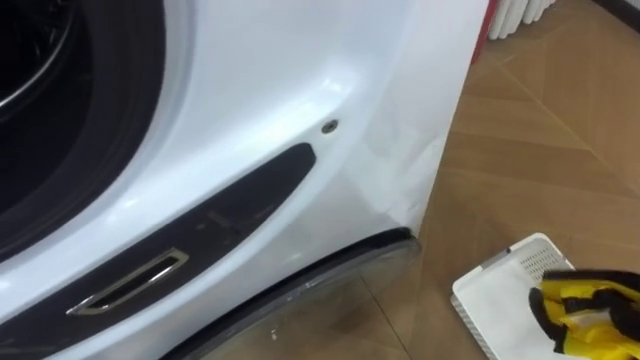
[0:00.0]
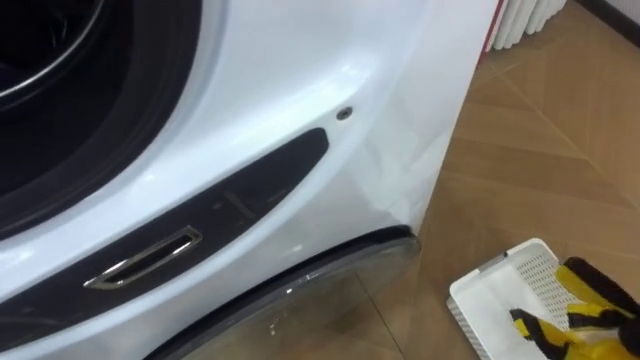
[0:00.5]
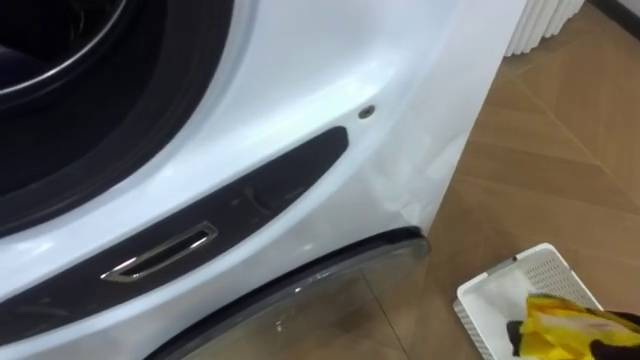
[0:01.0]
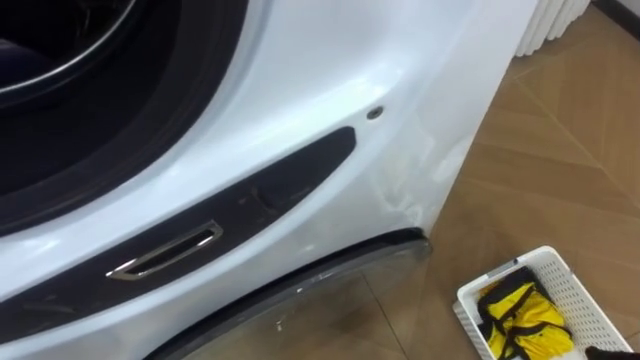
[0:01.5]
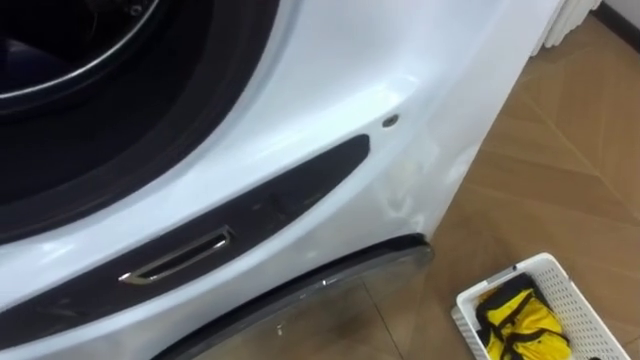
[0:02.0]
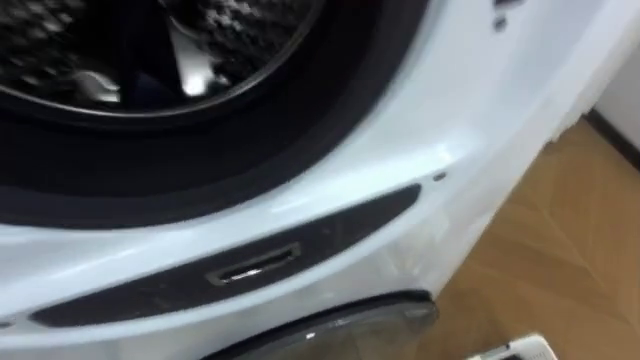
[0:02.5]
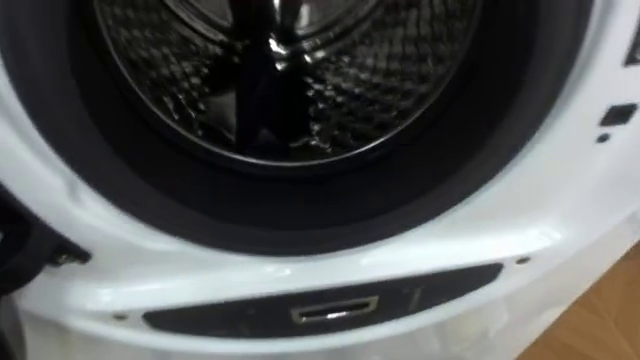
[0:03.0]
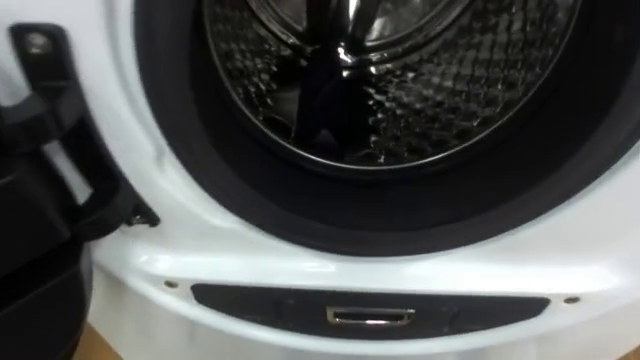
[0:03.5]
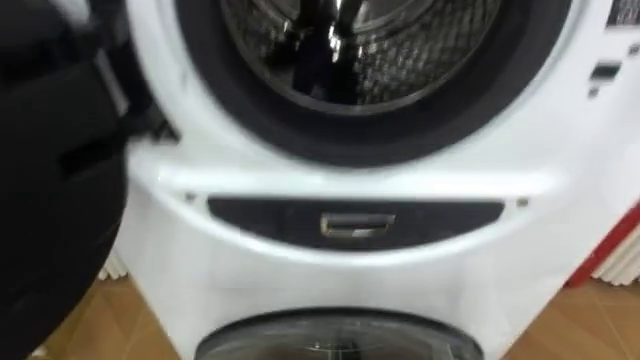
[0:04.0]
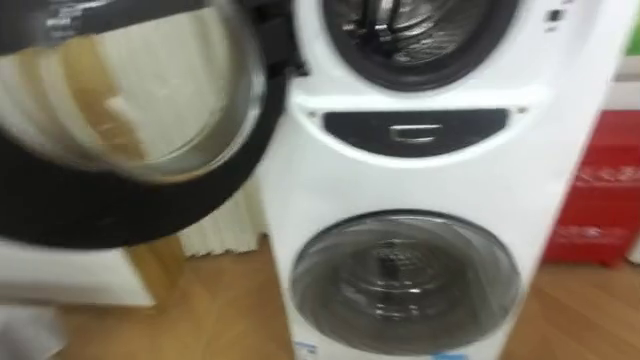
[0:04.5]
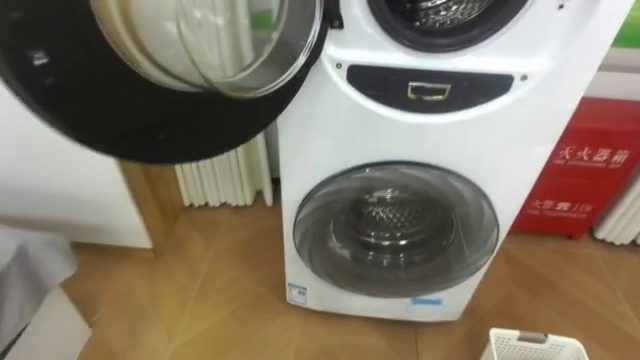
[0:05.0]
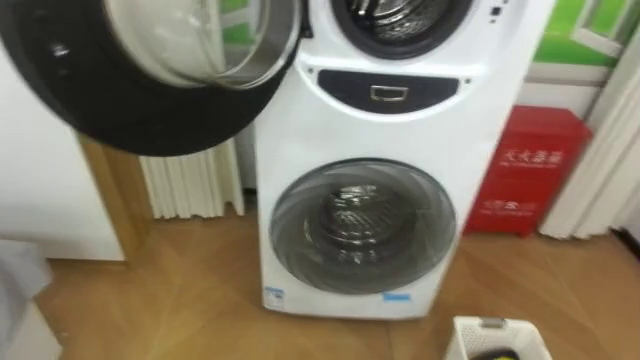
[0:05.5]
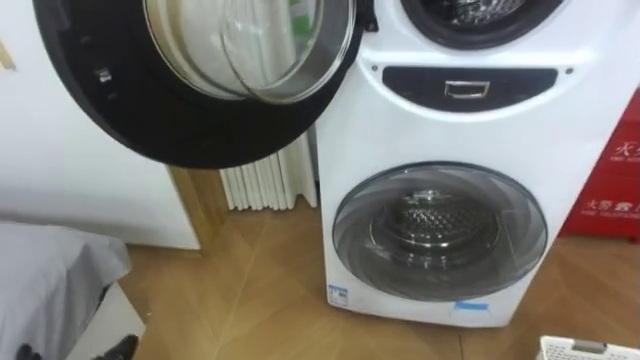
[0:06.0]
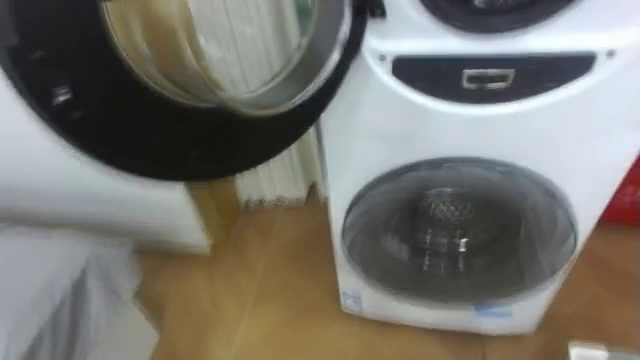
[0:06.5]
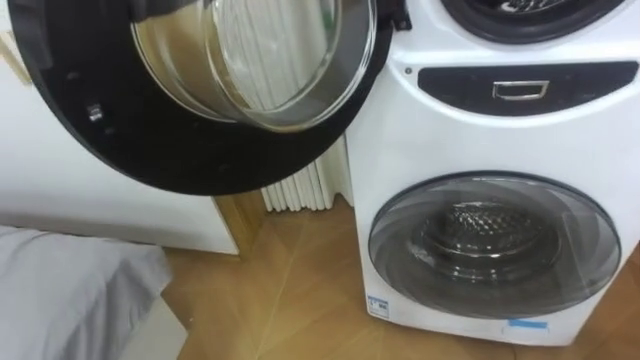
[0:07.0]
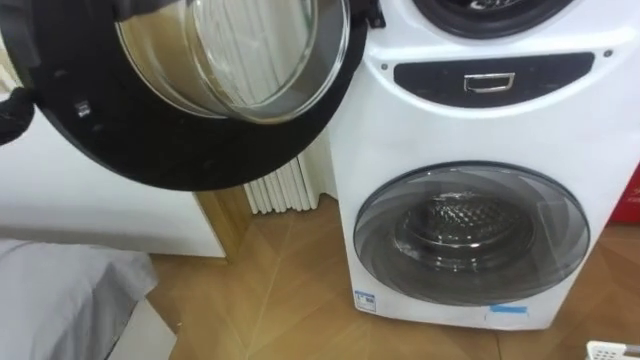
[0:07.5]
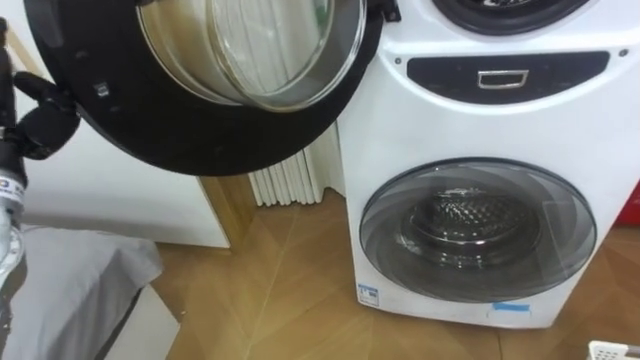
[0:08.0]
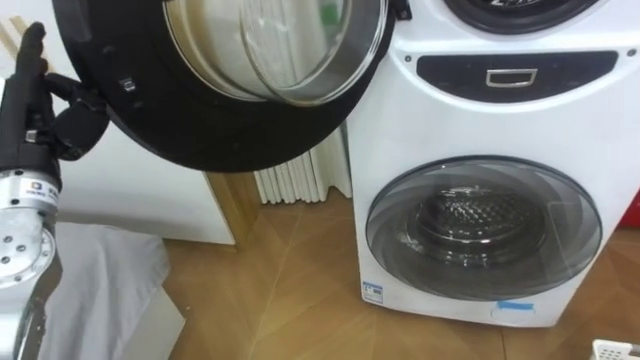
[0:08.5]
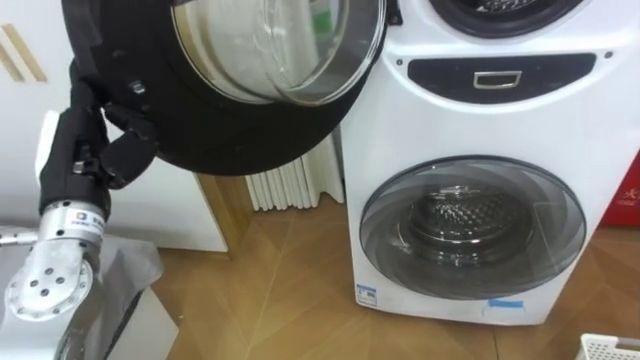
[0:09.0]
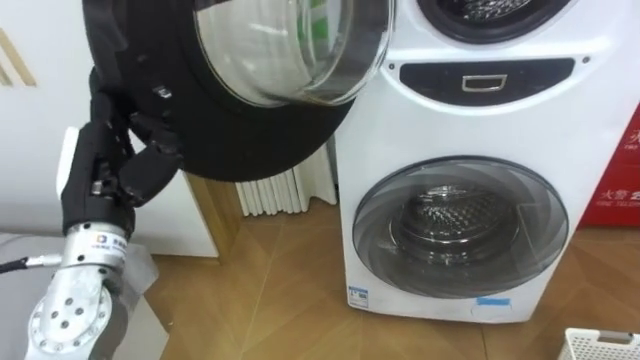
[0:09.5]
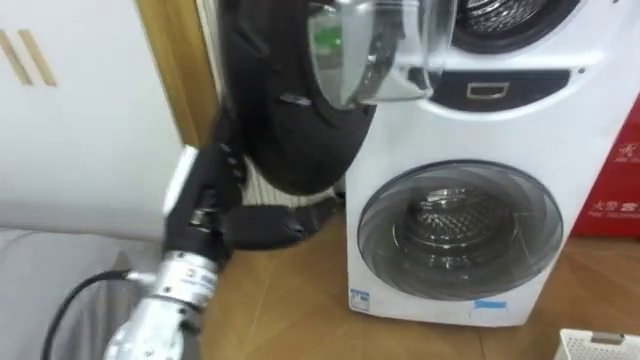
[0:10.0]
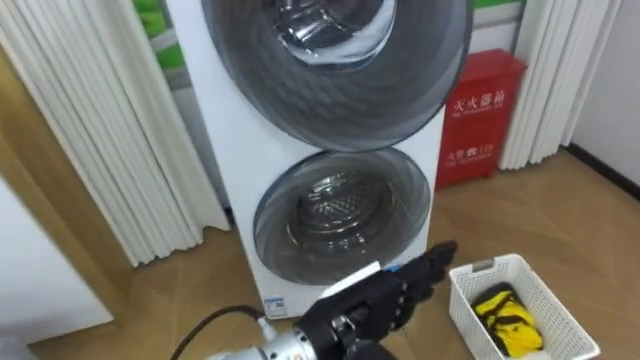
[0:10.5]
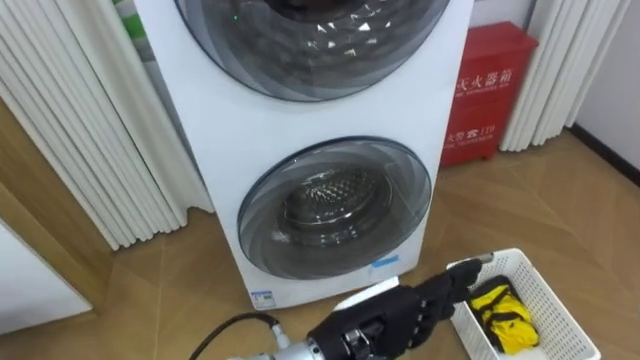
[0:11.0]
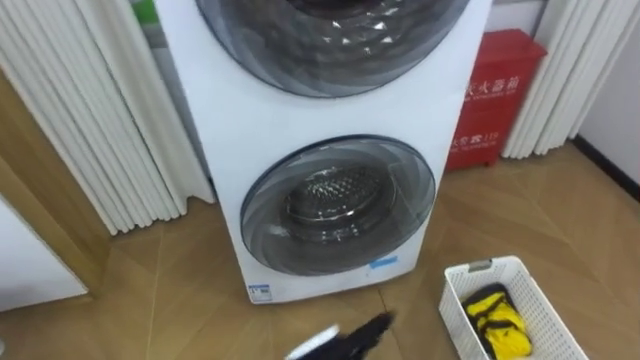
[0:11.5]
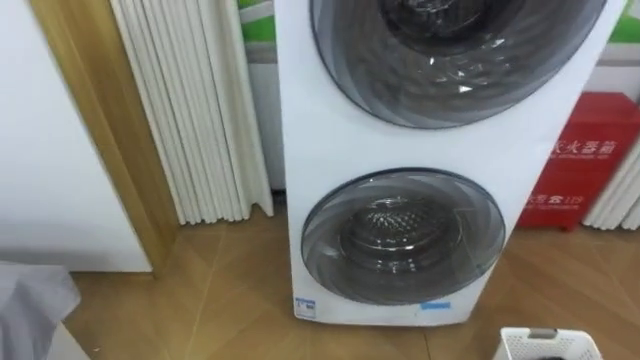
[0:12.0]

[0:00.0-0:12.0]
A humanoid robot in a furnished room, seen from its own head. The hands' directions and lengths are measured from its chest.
Task of the whole recording: Open the washing machine door, take out the yellow clothes, place them in the box on the right, and close the washing machine door.
0:02.0 to 0:04.0: The robot turns to its left by roughly 20 degrees.

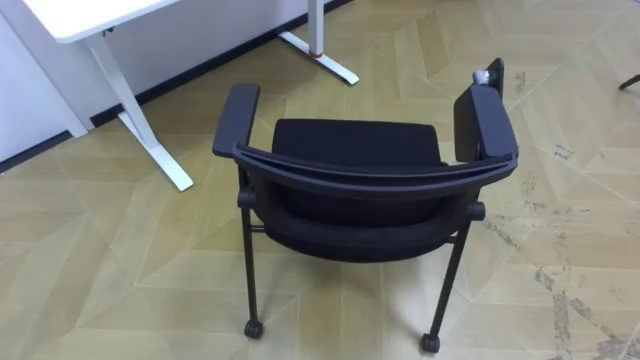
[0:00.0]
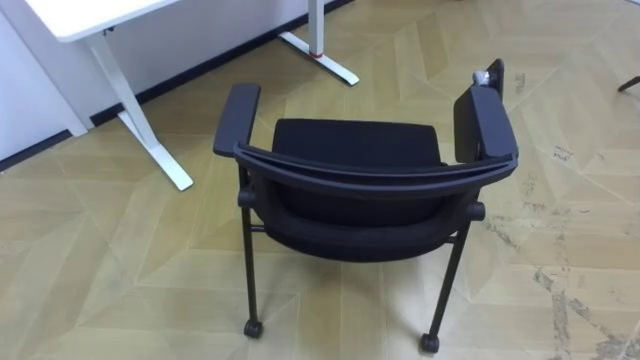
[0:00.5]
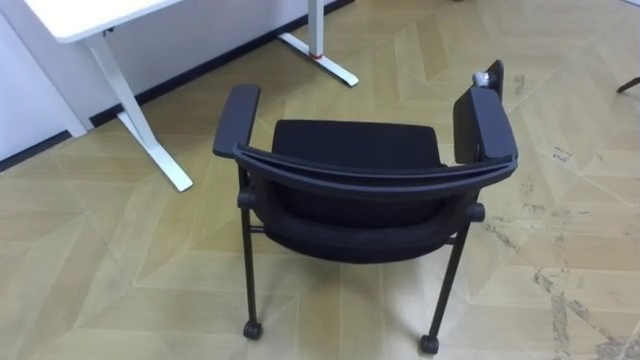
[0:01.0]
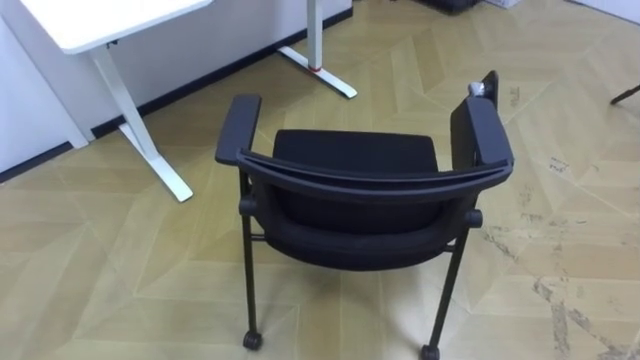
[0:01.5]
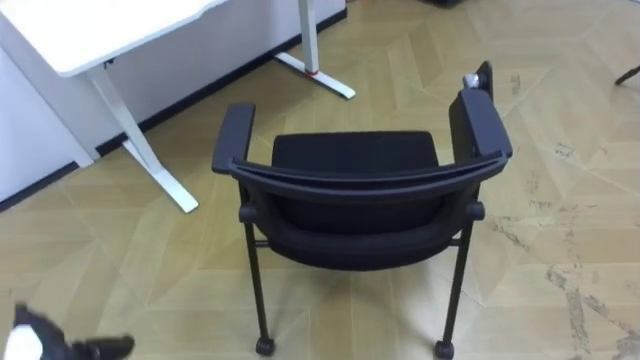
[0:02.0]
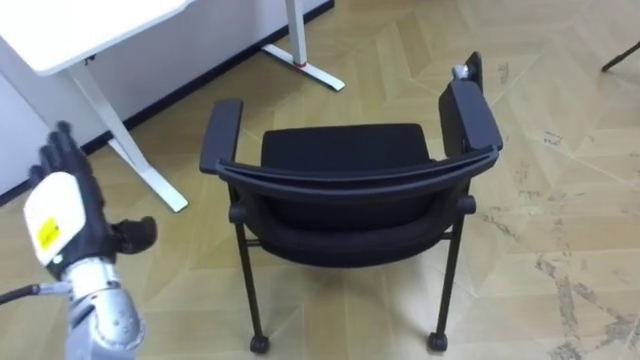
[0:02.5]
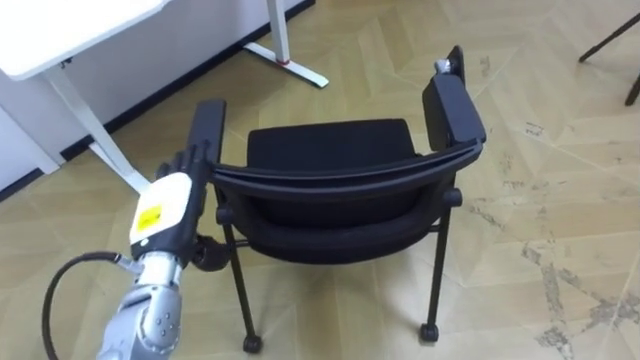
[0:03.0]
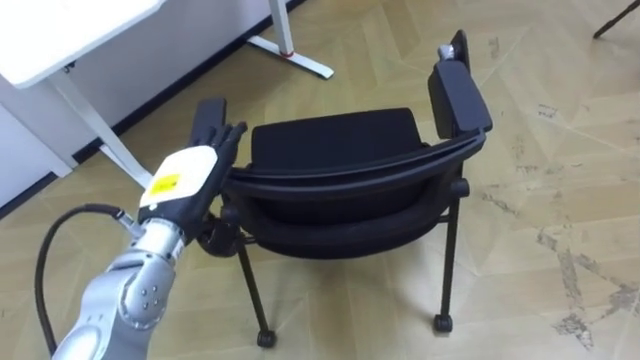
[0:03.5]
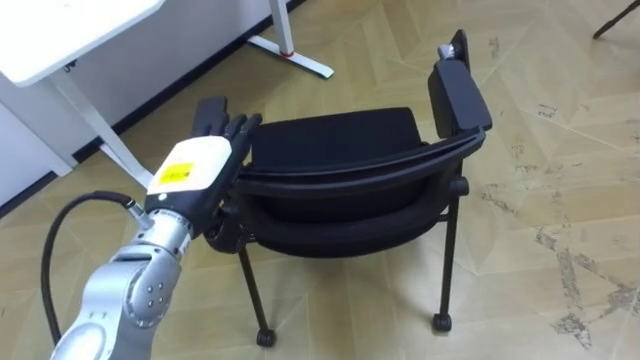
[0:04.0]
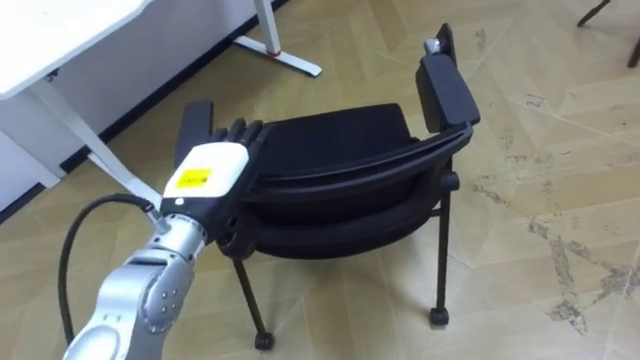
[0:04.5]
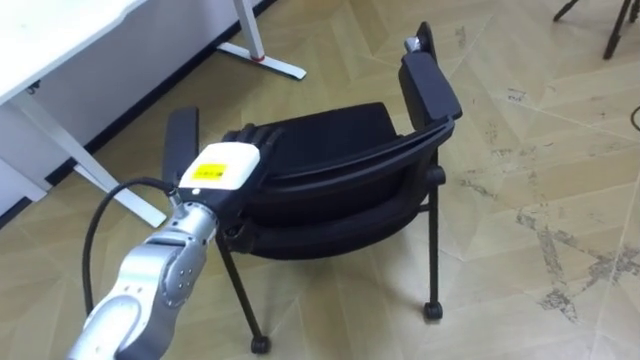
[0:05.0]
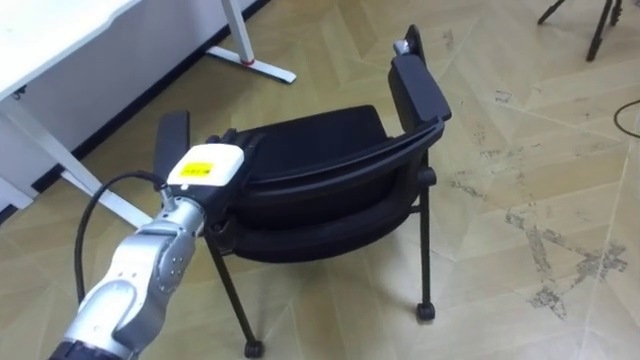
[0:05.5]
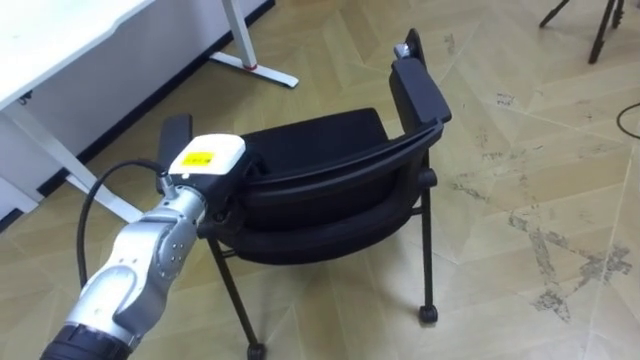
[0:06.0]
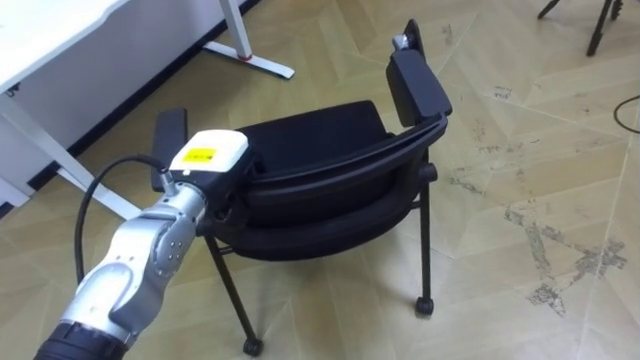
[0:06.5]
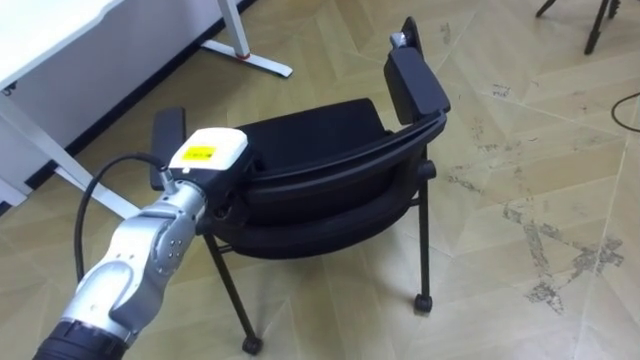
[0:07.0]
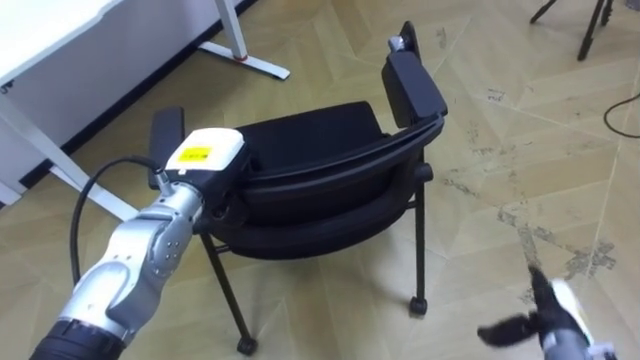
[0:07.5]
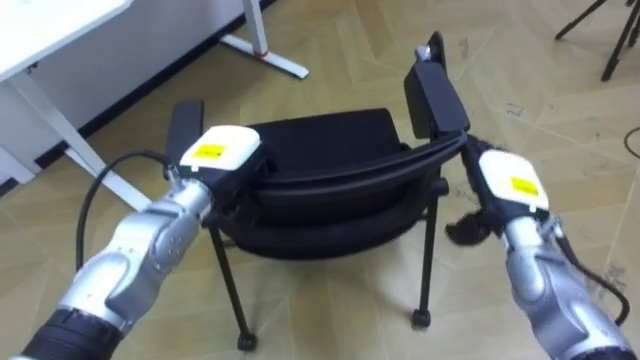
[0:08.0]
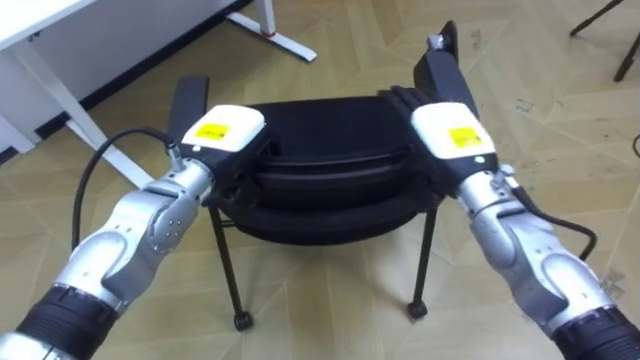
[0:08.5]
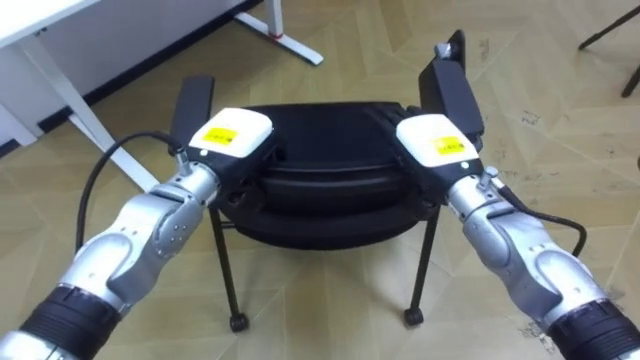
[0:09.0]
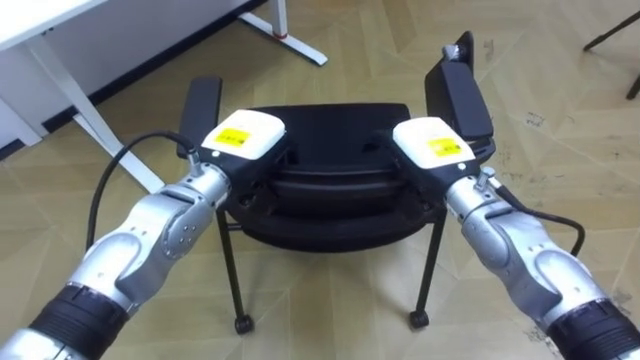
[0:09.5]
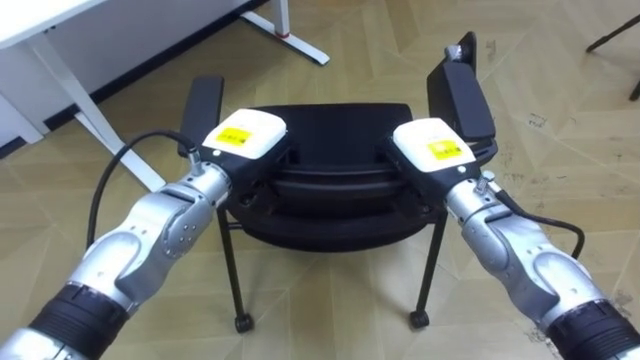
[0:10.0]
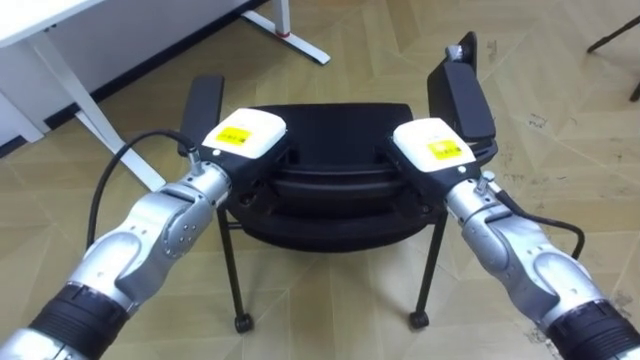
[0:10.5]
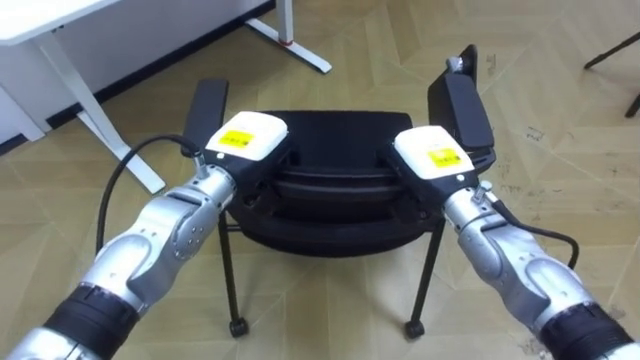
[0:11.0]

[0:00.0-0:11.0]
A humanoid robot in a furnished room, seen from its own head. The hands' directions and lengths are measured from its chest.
Task of the whole recording: Push the chair under the table.
0:05.5 to 0:07.5: The left hand closes.
0:07.5 to 0:09.0: The right hand heads upward, to the left and forward, covering approximately 30 cm.
0:09.0 to 0:11.0: The right hand closes its fingers.
